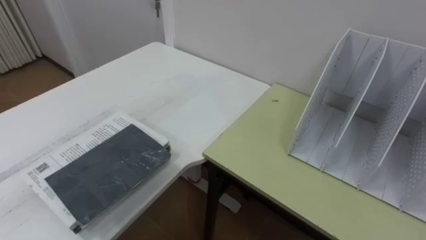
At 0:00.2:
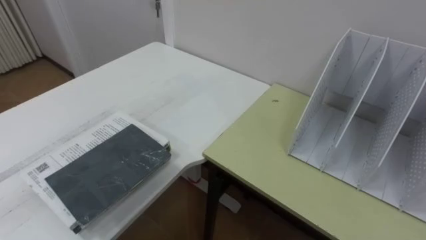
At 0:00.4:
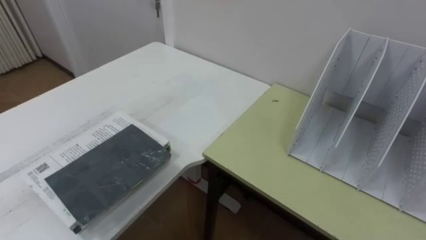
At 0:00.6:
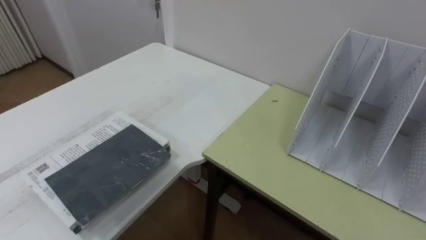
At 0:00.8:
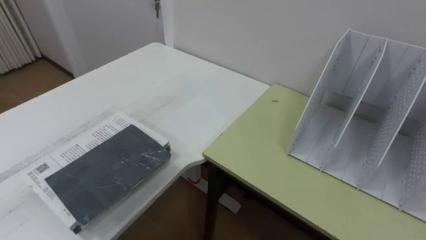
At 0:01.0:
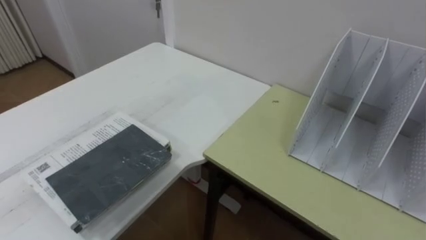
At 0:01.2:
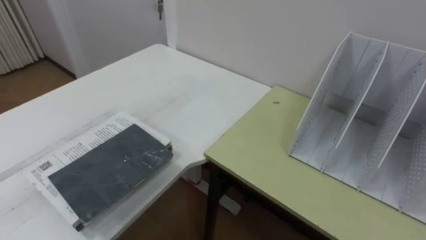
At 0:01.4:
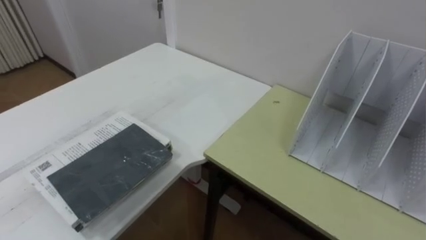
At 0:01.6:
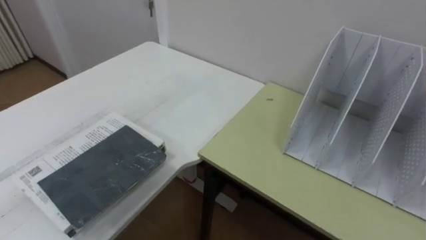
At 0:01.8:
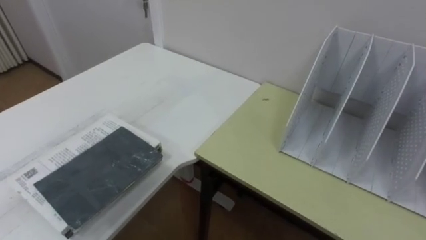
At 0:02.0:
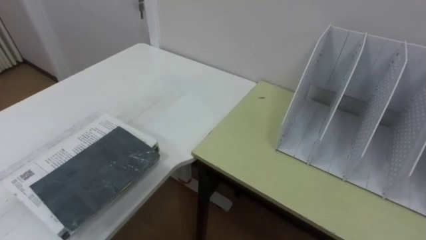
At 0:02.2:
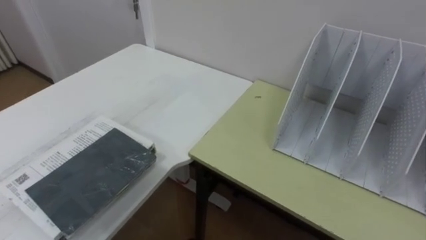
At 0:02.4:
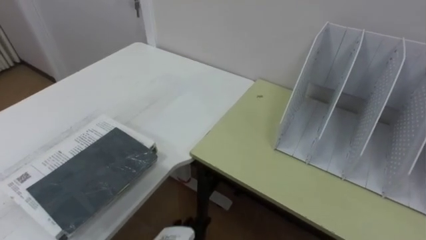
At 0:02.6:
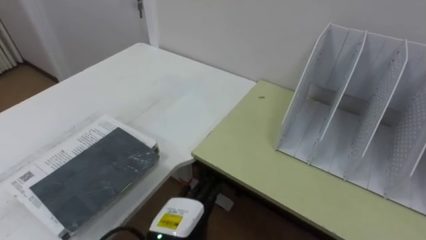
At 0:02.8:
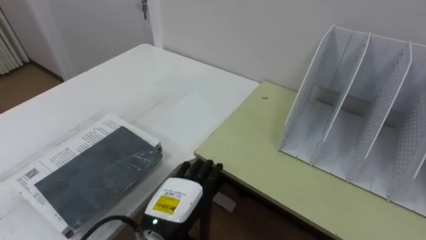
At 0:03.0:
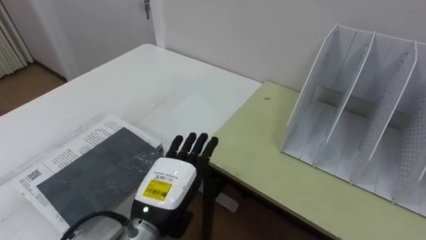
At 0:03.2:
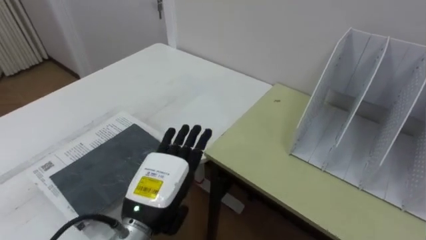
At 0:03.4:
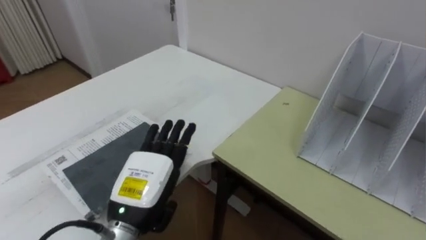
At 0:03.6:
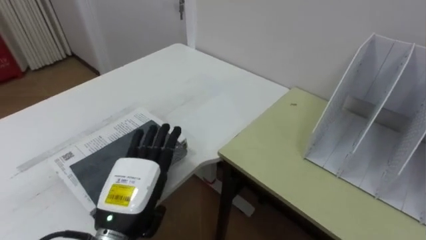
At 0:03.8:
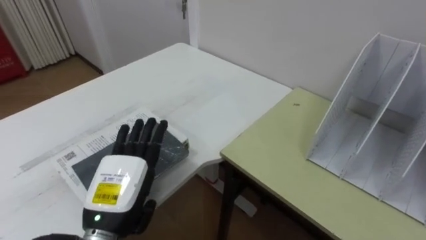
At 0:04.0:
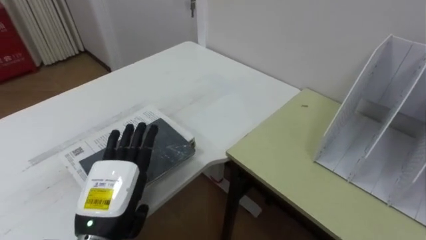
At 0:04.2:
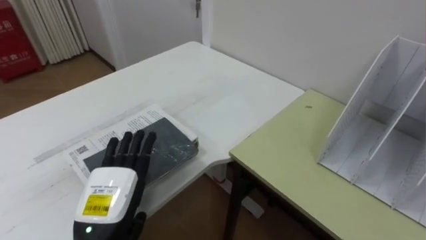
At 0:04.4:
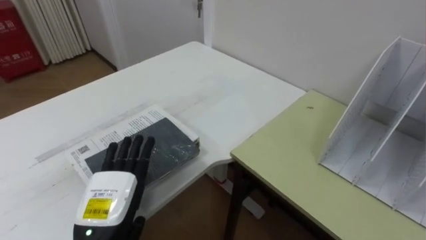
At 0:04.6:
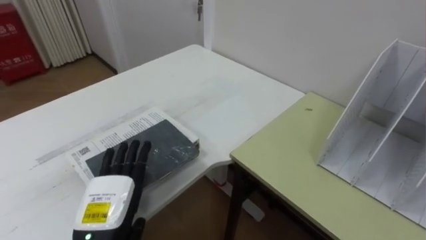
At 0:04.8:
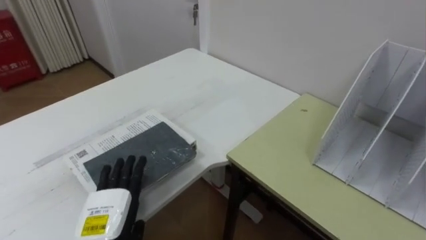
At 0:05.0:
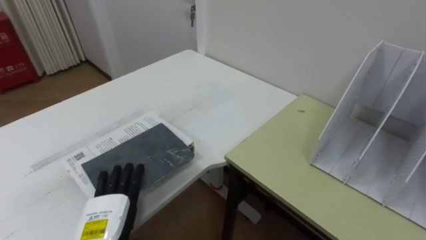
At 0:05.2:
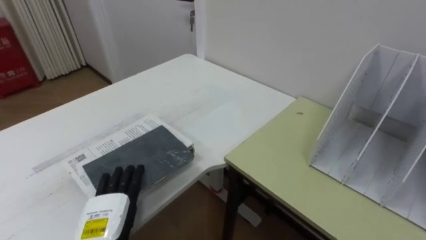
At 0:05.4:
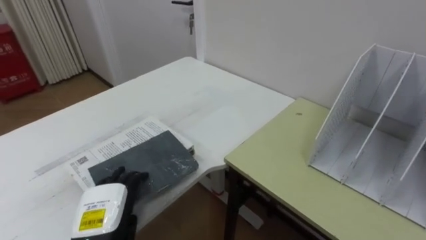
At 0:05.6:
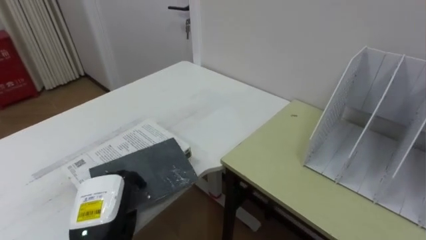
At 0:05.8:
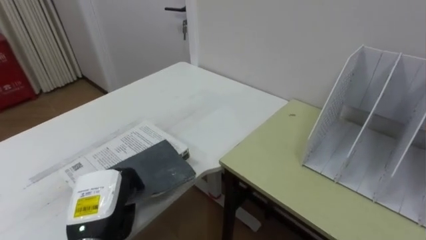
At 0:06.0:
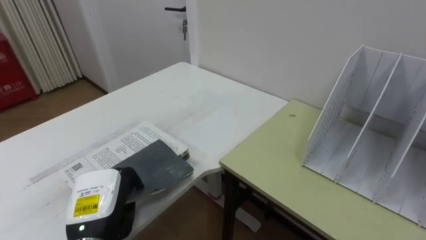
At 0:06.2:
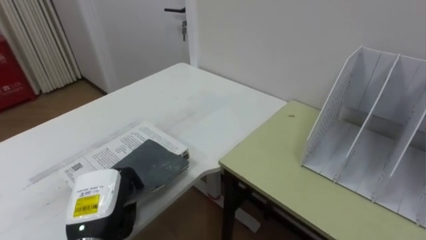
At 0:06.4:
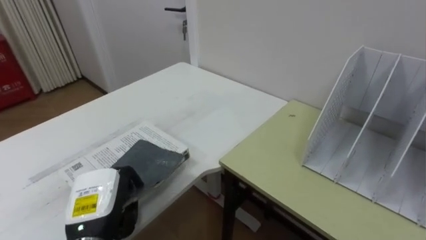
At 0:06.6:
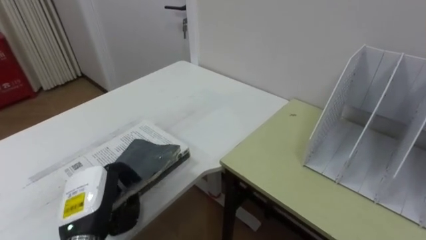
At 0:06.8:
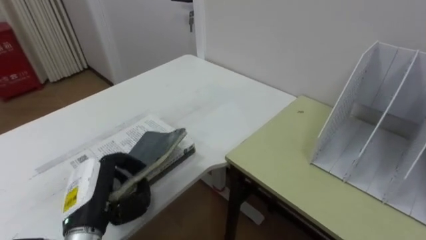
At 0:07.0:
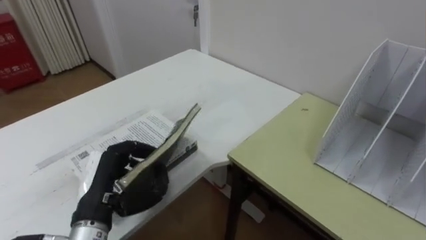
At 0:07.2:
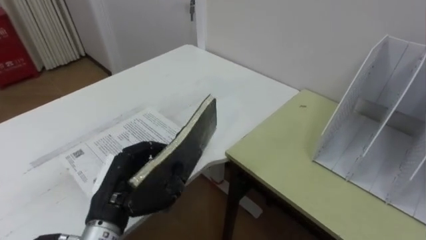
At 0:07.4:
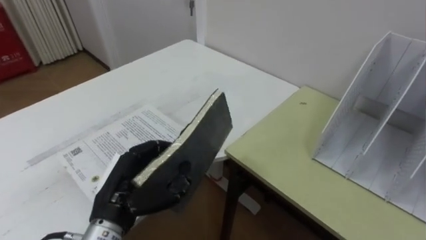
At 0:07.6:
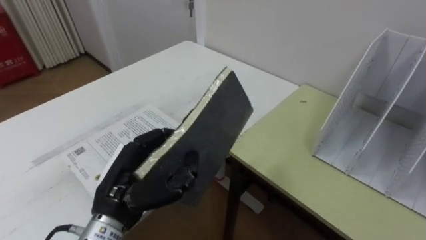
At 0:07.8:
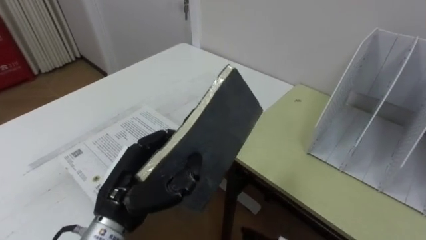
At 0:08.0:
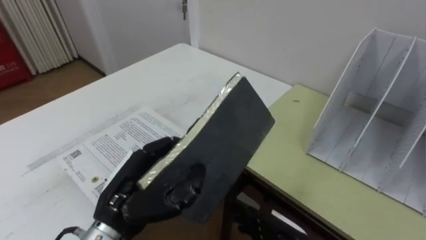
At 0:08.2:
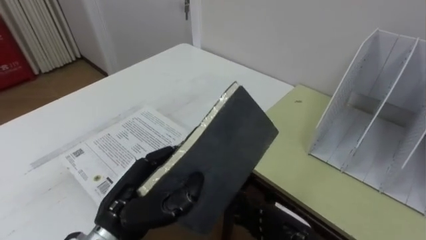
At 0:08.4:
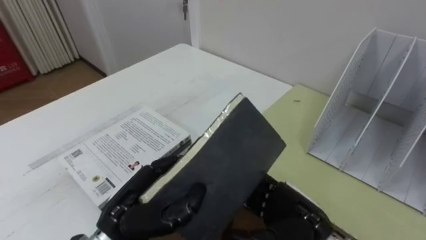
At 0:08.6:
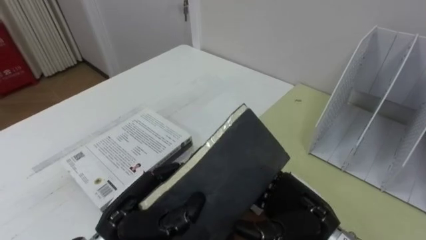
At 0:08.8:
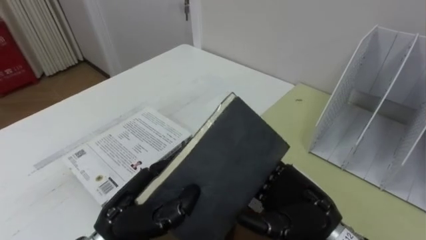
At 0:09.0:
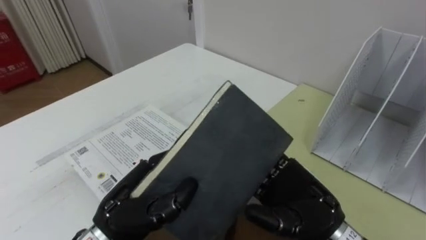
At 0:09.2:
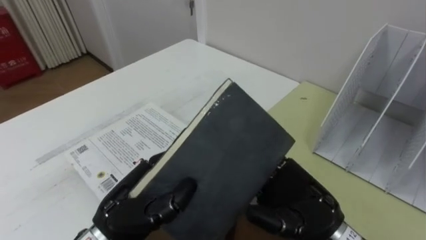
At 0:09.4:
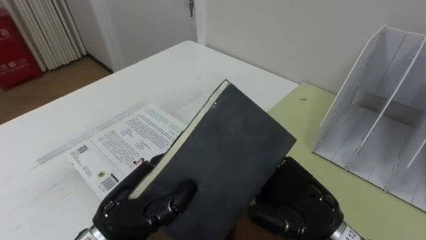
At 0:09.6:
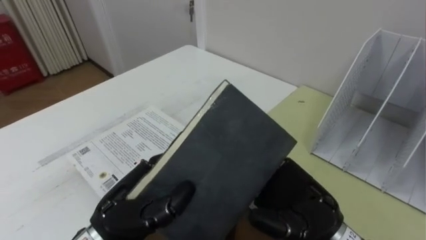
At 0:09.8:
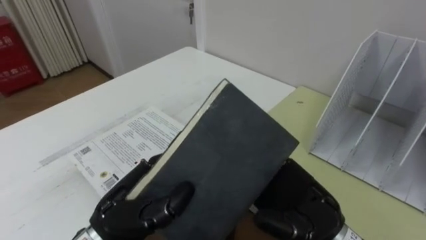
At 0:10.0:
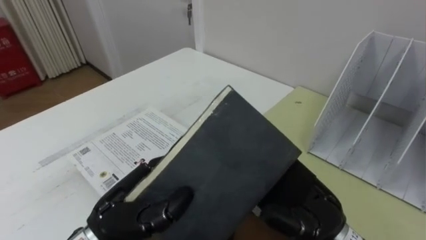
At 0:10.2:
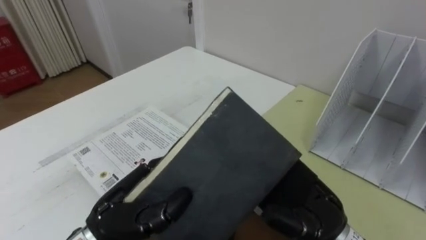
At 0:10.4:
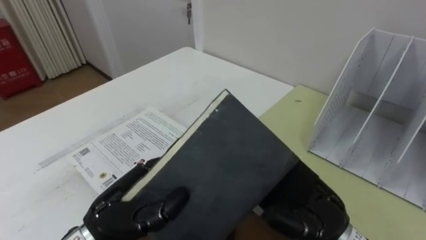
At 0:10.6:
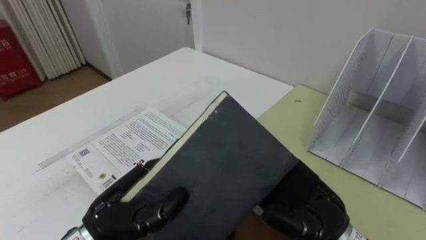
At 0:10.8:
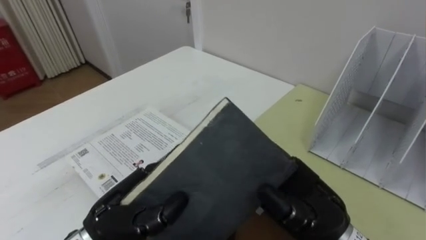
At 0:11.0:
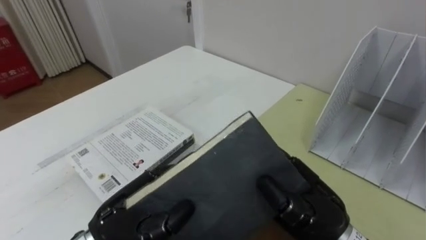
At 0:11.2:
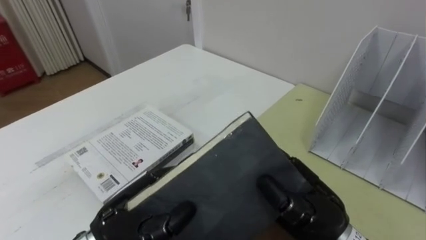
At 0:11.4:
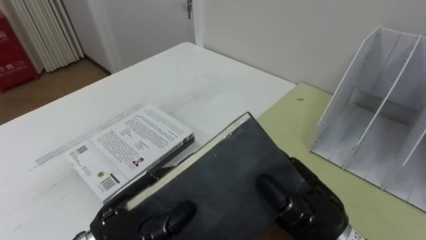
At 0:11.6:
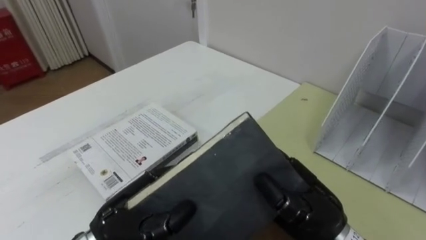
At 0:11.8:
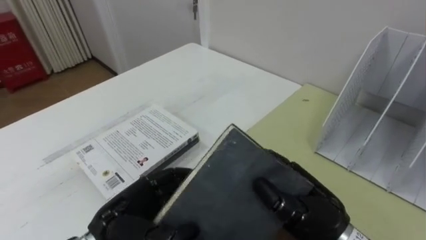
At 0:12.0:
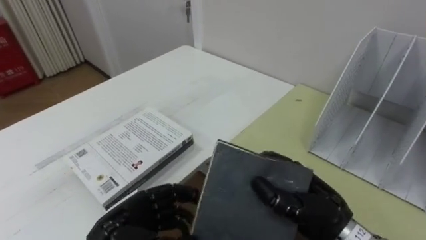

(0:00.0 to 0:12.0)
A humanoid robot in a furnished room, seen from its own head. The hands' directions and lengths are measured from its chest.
Task of the whole recording: Put the books on the table onto the bookshelf.
0:03.0 - 0:04.4: The left hand goes some 10 cm to the left.
0:04.4 - 0:06.0: The left hand closes its fingers.
0:06.0 - 0:07.6: The left hand travels upward and to the right by roughly 10 cm.
0:09.0 - 0:10.4: The hands stay close to where they were, moving slightly.
0:10.4 - 0:12.0: The right hand closes up, while the left hand goes about 5 cm downward.
